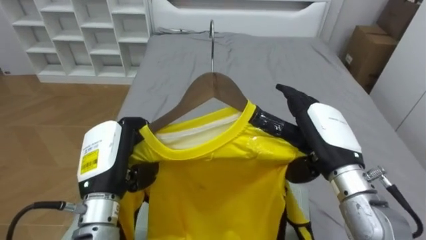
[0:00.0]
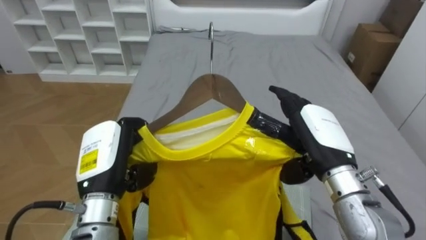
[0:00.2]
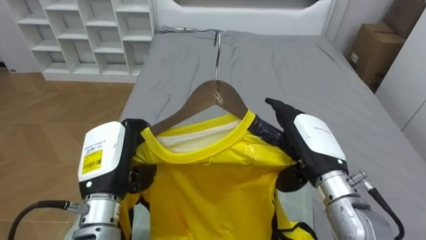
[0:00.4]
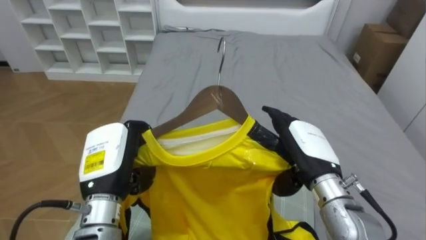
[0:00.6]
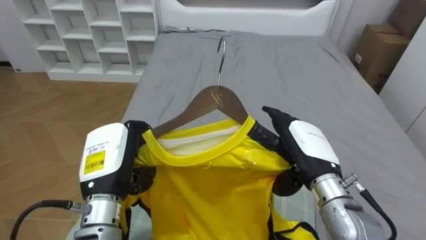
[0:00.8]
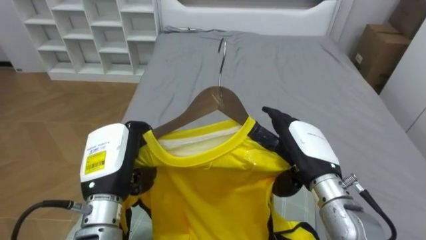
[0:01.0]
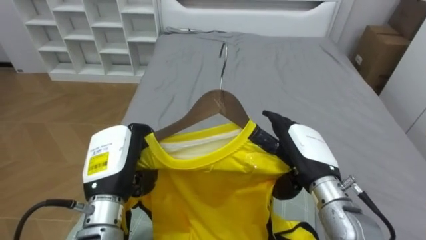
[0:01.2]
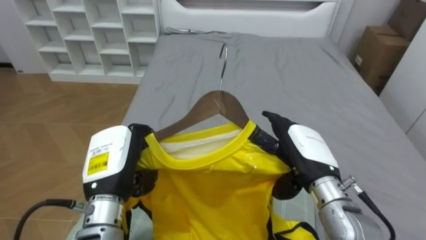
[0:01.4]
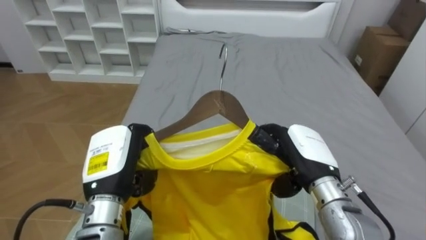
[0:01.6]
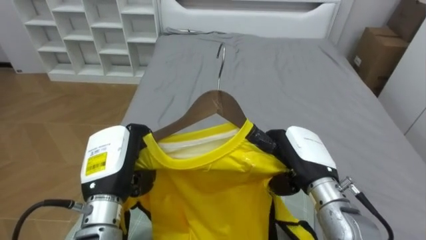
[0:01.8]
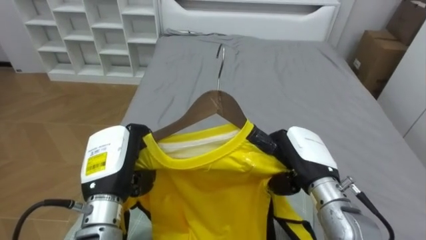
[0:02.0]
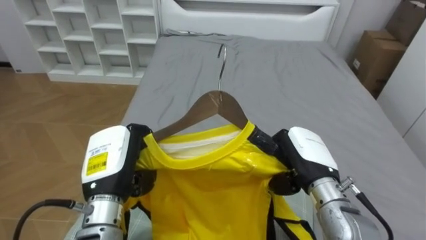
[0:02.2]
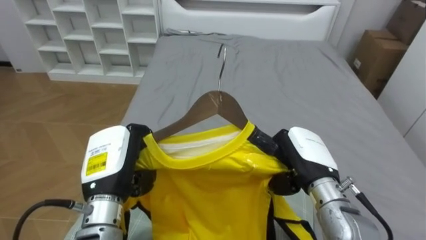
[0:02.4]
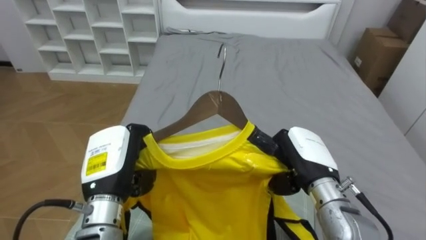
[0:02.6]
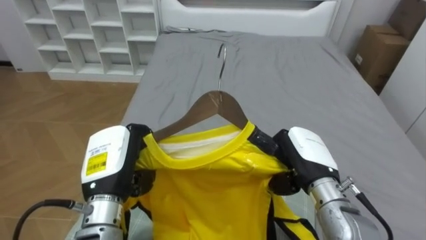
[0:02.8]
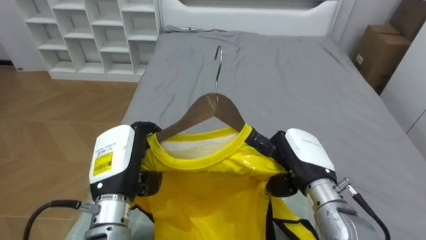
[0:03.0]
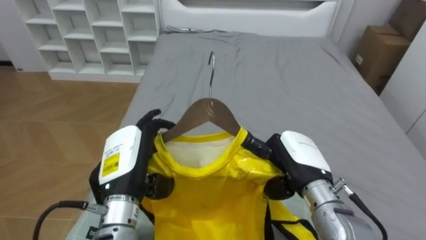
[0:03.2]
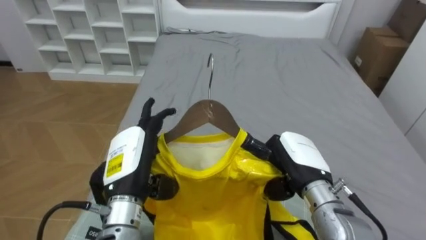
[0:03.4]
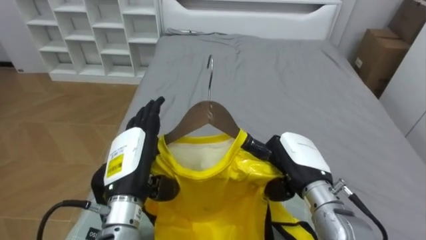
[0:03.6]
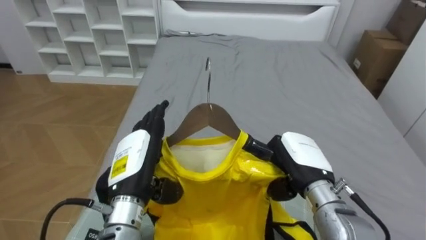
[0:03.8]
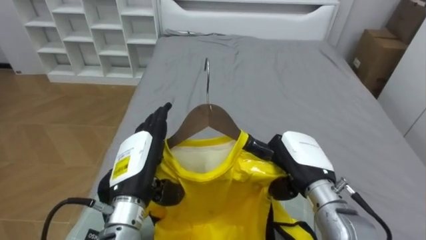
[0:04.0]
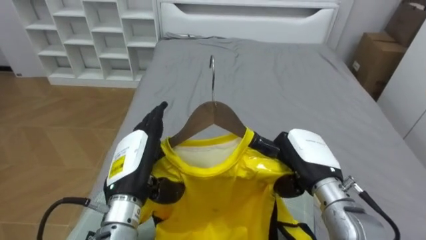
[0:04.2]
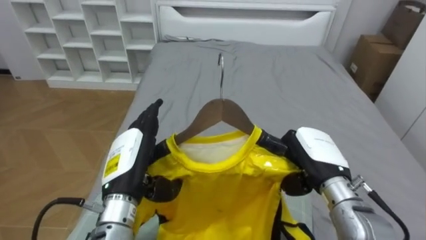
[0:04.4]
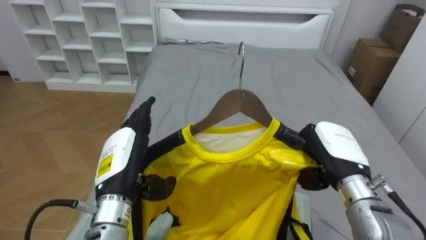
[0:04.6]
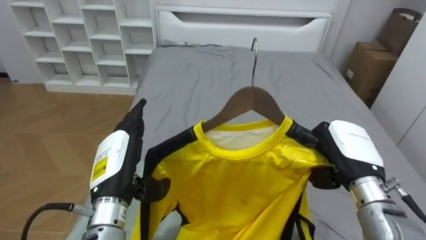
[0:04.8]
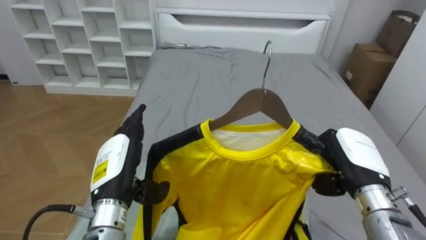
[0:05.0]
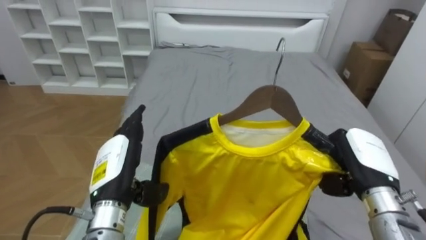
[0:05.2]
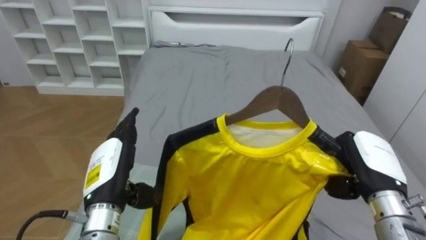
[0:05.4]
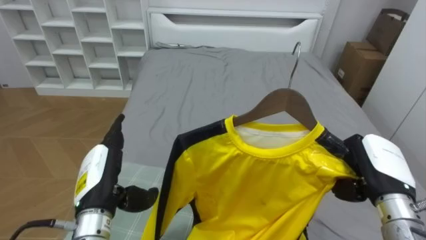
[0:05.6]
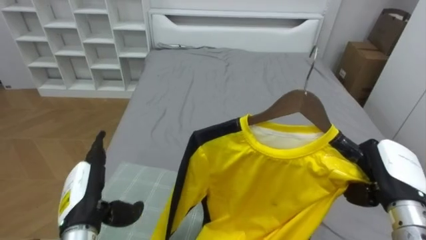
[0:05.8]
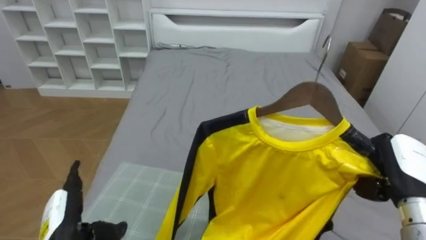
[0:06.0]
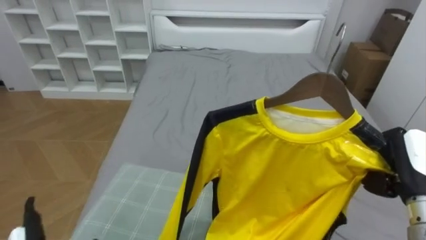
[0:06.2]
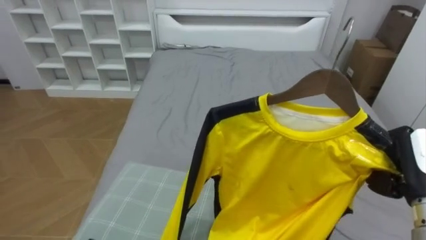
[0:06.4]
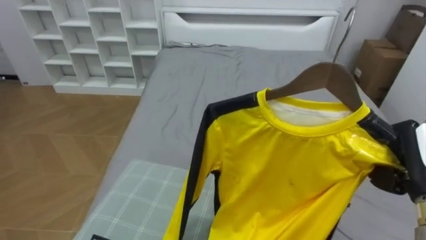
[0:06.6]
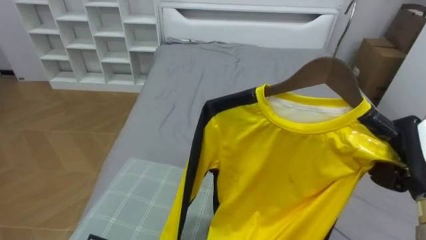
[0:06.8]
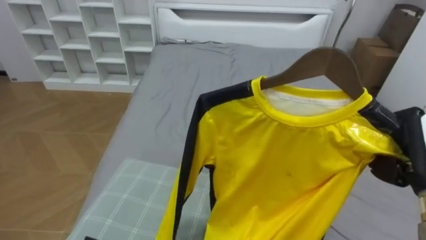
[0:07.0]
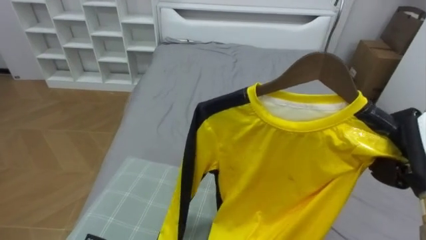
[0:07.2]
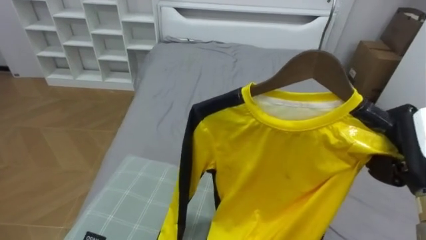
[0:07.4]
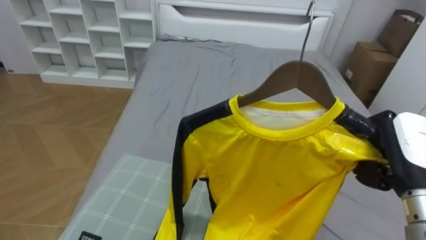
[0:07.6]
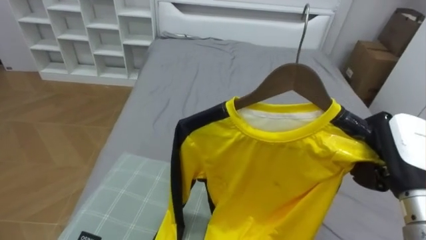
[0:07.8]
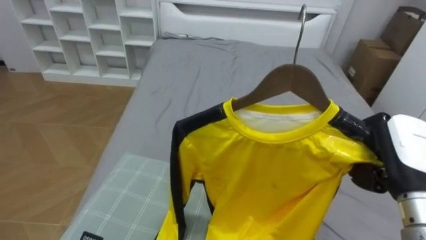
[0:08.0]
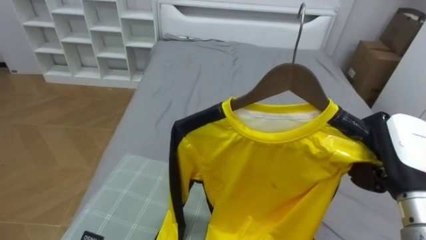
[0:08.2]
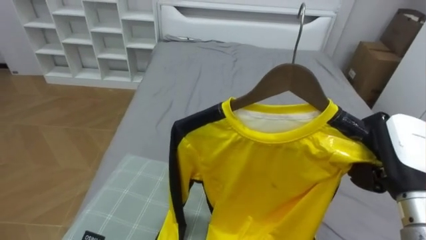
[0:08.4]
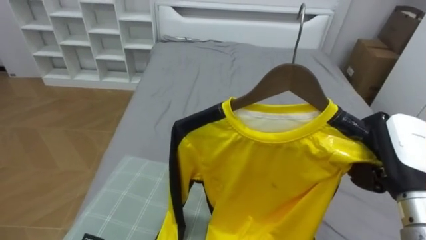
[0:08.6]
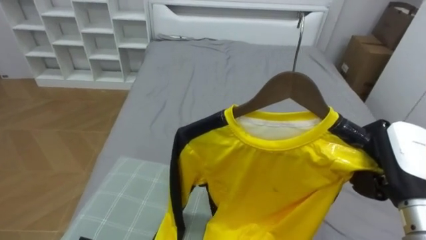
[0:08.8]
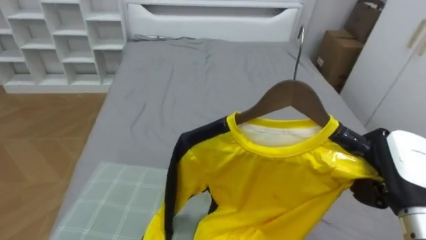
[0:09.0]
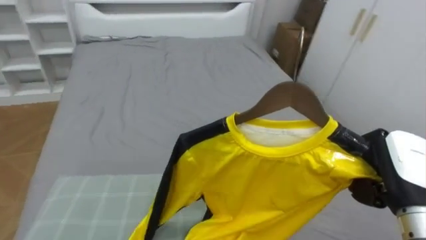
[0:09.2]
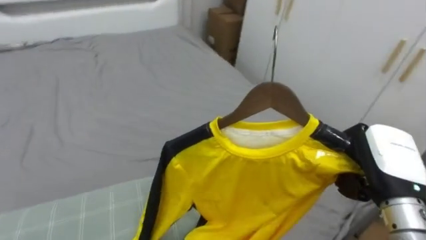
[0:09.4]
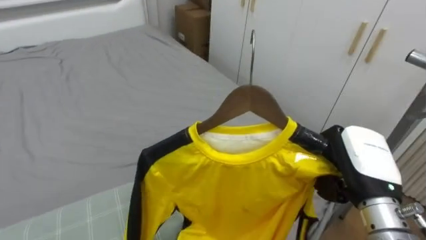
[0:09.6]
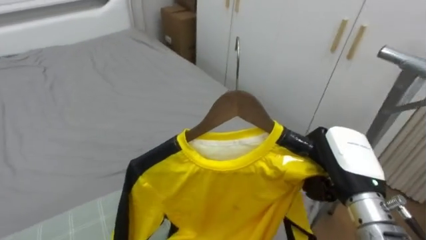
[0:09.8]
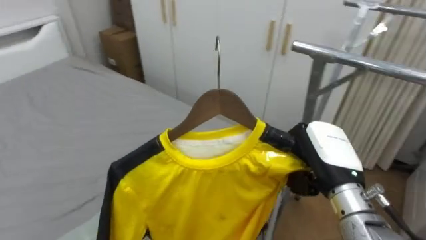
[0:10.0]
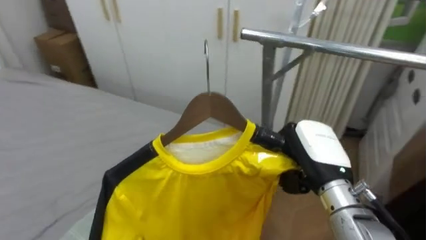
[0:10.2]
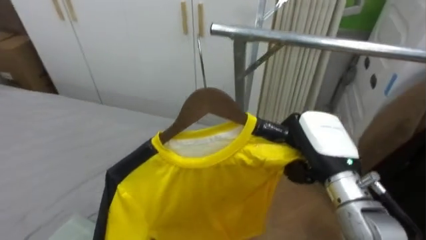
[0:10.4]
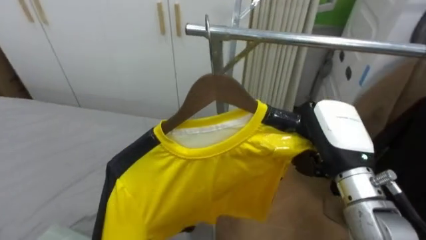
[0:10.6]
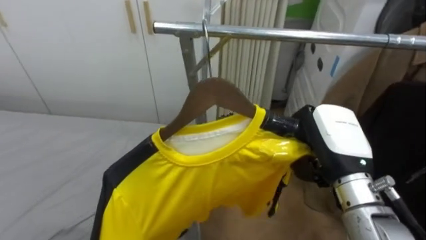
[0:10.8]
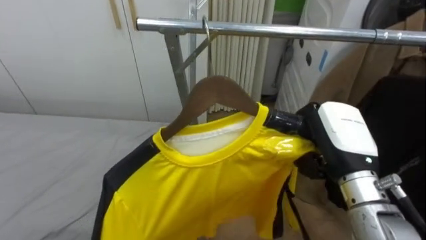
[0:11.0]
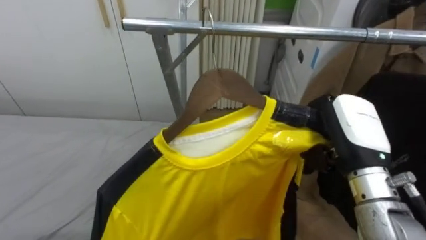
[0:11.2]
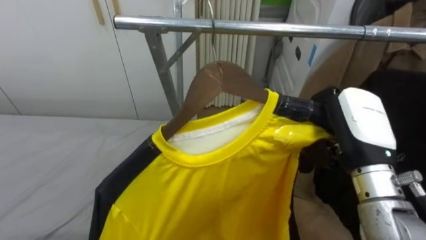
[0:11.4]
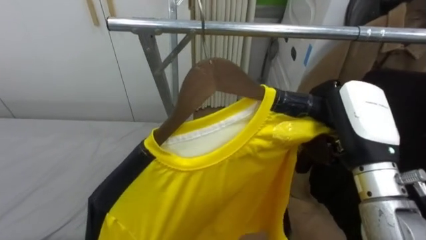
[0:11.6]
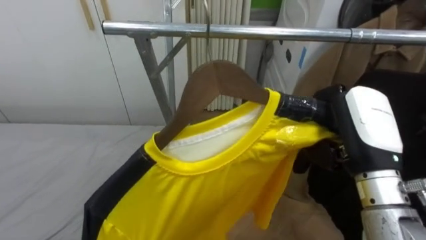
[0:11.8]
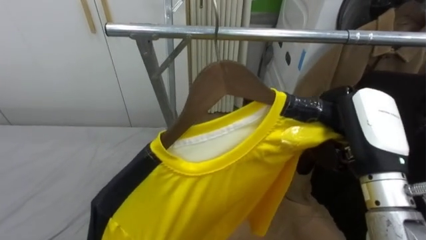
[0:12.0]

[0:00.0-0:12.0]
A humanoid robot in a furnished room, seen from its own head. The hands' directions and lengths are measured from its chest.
Task of the whole recording: Pick up the yellow shirt on the bed and hang it on the clothes rack on the right.
0.0 to 1.6 s: The right hand goes some 5 cm downward.
1.6 to 3.0 s: The right hand closes, while the left hand opens up.
3.0 to 4.4 s: The left hand opens its fingers.
4.4 to 6.0 s: The left hand moves to the left and downward, some 15 cm. The right hand travels to the right by roughly 15 cm.
6.0 to 7.6 s: The right hand is displaced upward by roughly 5 cm.
9.0 to 10.4 s: The robot's body swings some 75 degrees to its right. The right hand shifts about 10 cm to the left.
10.4 to 12.0 s: The right hand moves upward, some 5 cm.

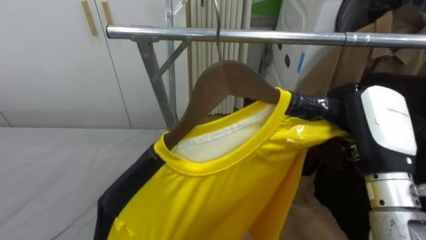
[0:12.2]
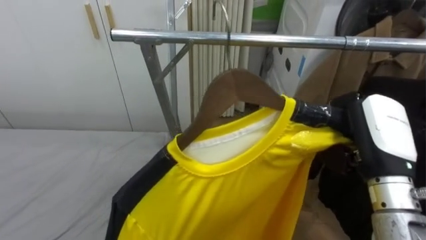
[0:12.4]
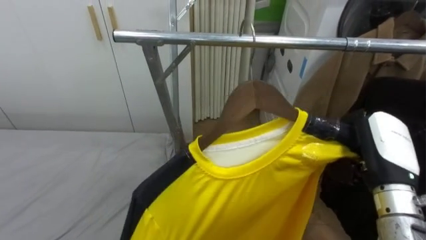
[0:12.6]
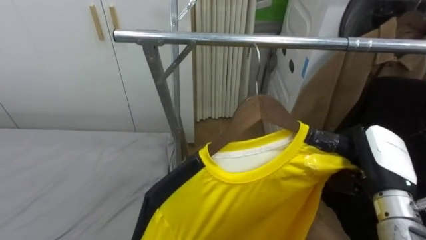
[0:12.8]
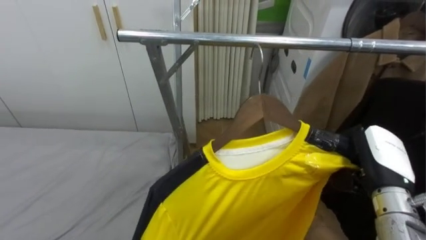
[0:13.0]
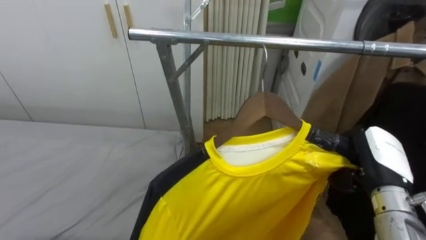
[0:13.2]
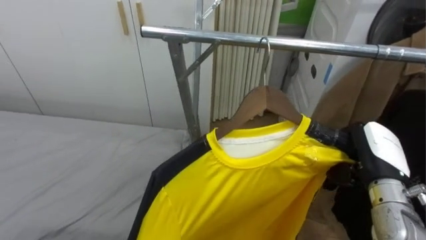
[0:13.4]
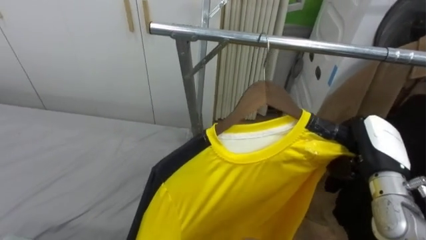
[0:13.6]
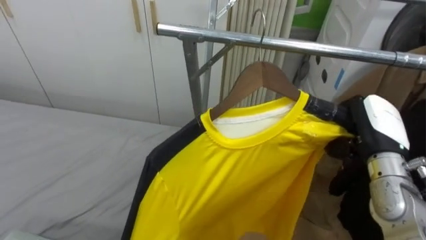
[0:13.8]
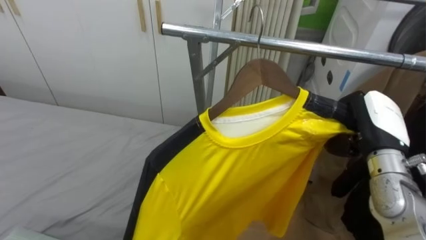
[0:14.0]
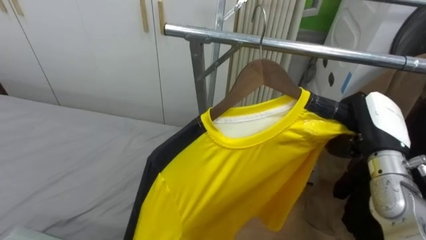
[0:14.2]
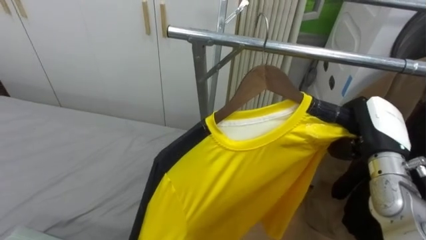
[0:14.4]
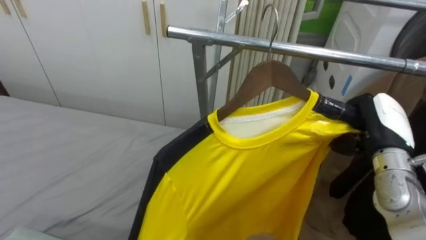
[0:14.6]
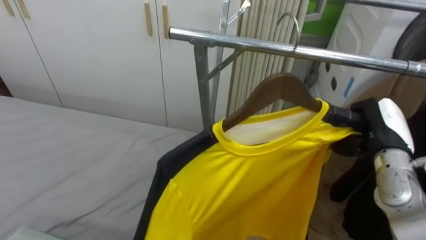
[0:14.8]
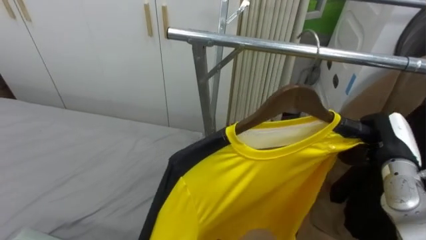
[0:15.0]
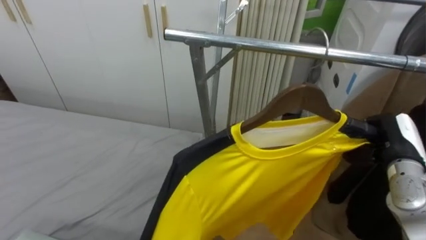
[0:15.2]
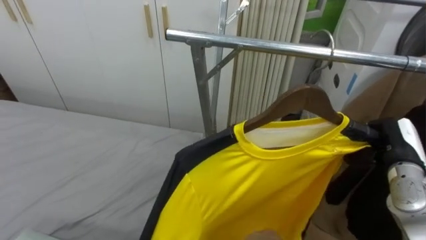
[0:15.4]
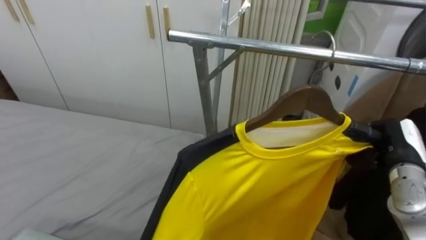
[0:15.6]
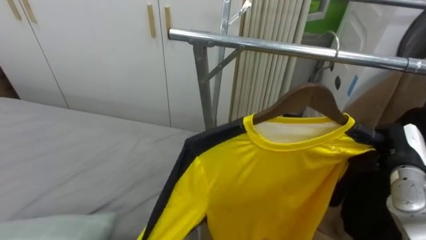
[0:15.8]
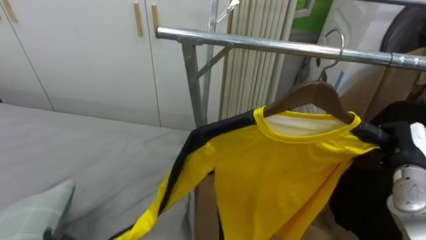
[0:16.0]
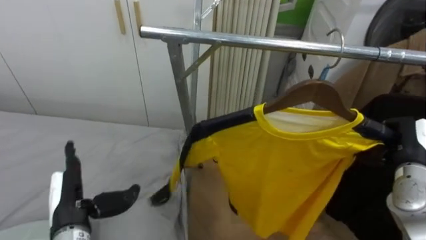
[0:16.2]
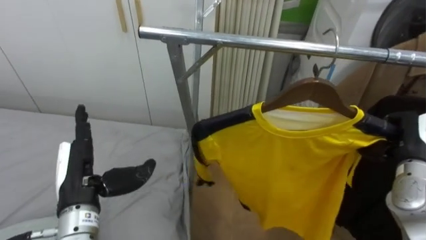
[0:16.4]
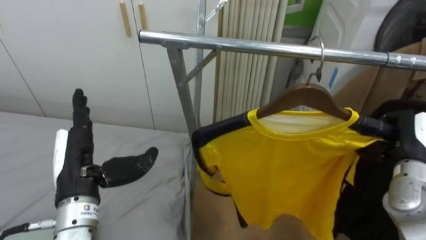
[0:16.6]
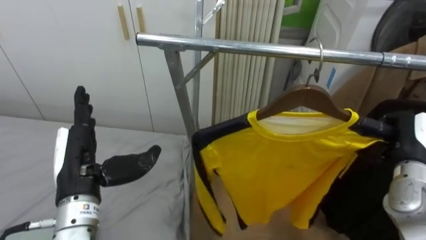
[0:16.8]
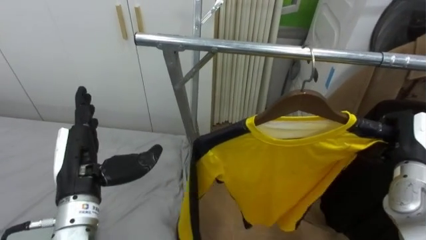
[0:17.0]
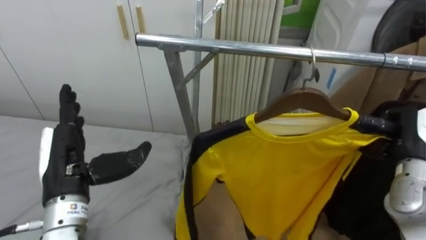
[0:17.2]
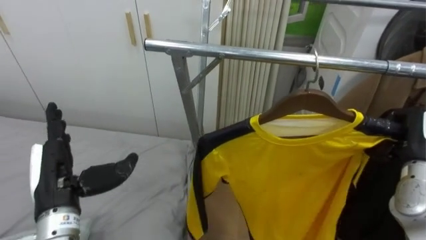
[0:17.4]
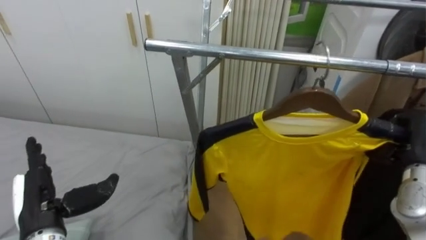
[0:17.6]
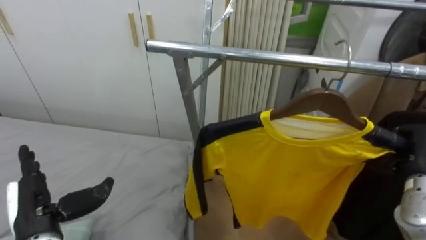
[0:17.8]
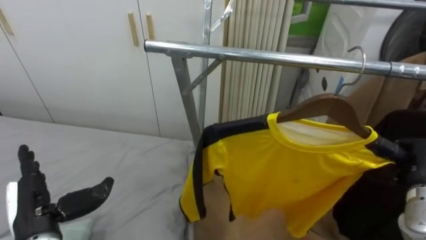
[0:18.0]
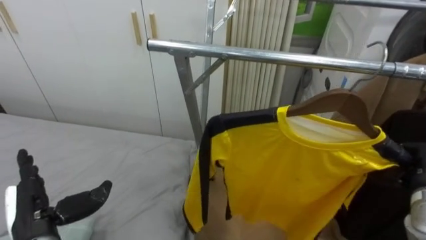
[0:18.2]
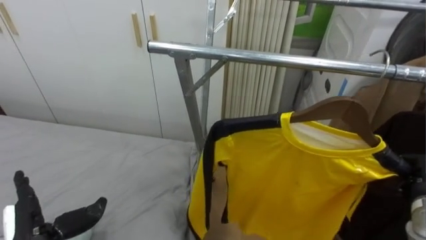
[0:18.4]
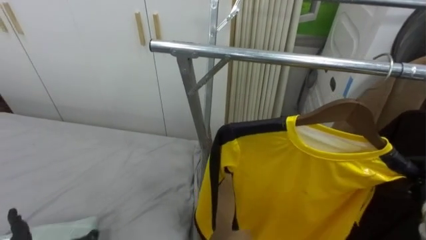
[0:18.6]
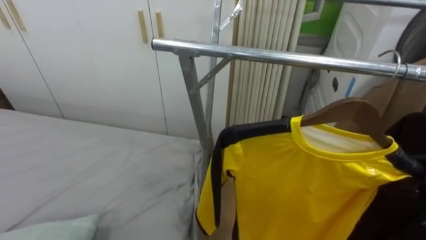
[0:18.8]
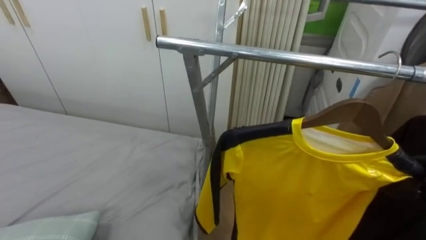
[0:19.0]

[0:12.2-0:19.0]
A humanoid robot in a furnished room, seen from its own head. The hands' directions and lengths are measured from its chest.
Task of the whole recording: Pick up the yellow shirt on the bed and hang it on the clothes rack on the right.
12.2 to 13.6 s: The right hand shifts roughly 10 cm downward and to the right.
